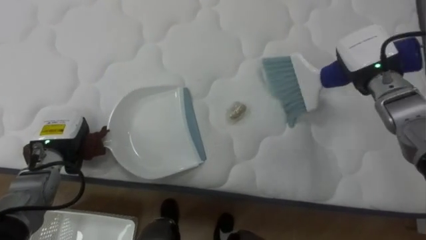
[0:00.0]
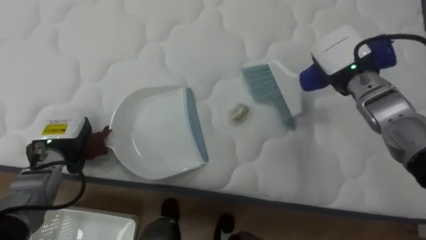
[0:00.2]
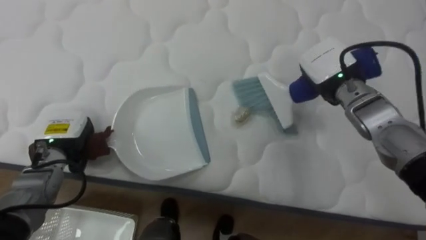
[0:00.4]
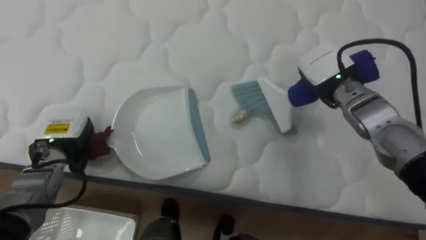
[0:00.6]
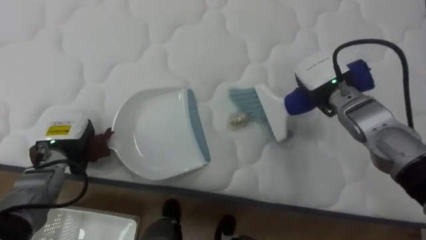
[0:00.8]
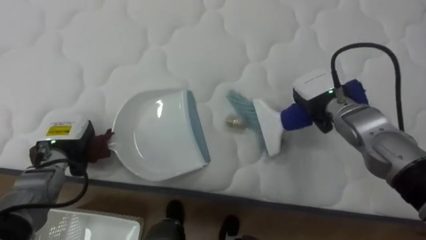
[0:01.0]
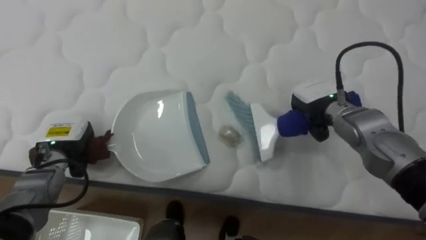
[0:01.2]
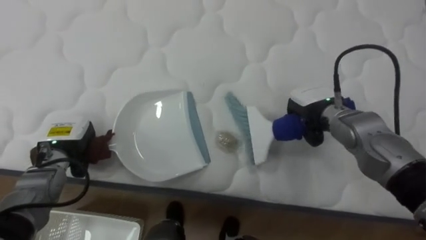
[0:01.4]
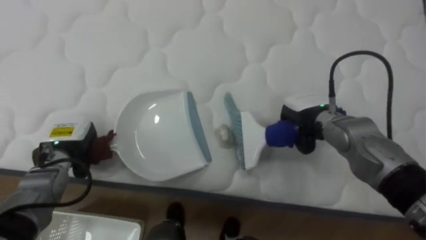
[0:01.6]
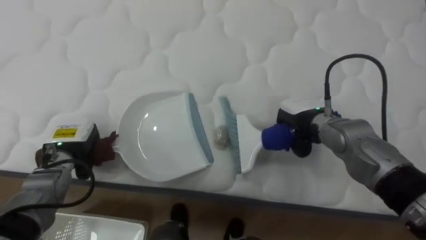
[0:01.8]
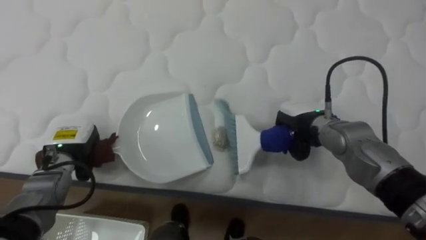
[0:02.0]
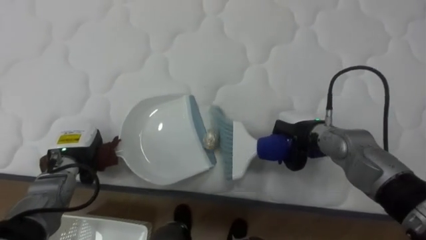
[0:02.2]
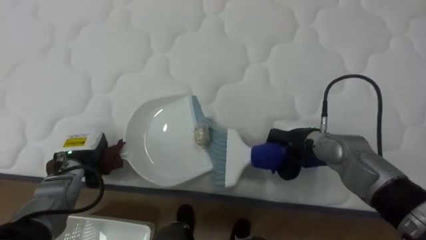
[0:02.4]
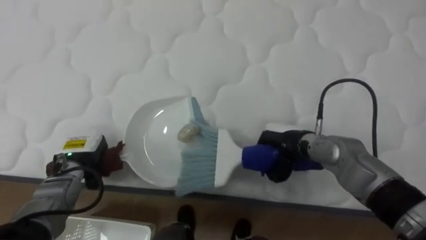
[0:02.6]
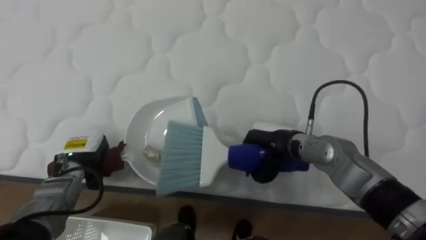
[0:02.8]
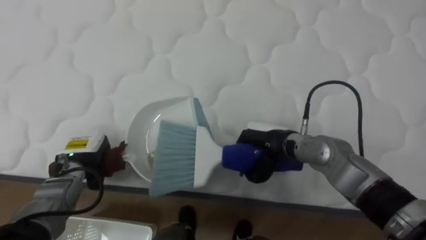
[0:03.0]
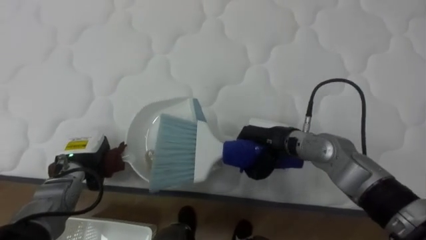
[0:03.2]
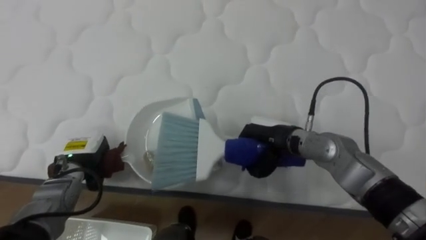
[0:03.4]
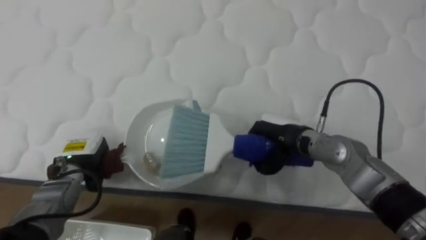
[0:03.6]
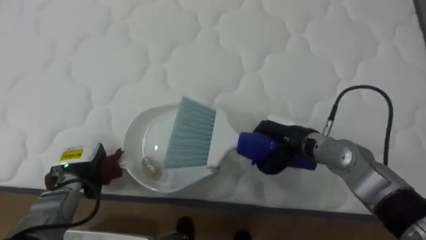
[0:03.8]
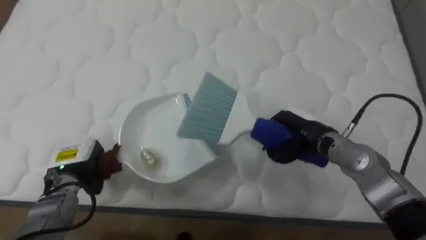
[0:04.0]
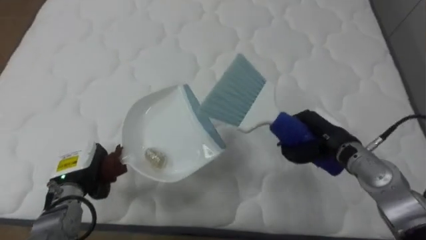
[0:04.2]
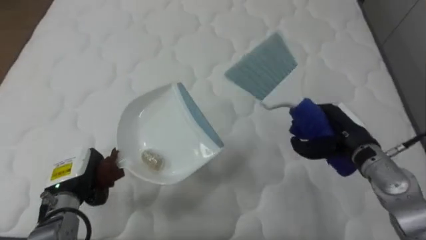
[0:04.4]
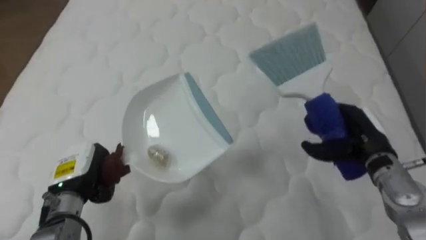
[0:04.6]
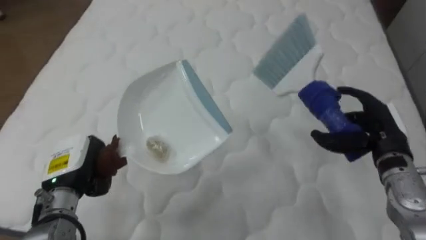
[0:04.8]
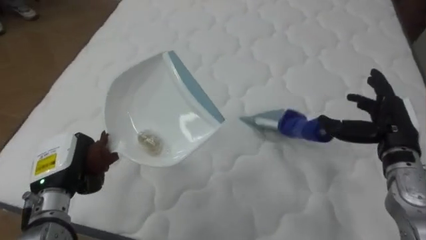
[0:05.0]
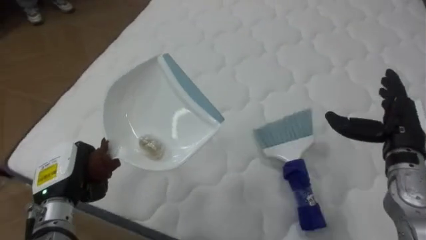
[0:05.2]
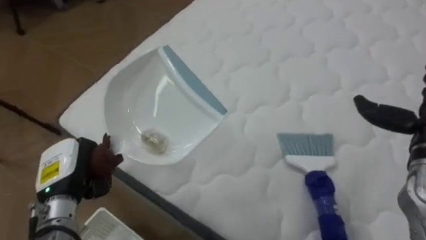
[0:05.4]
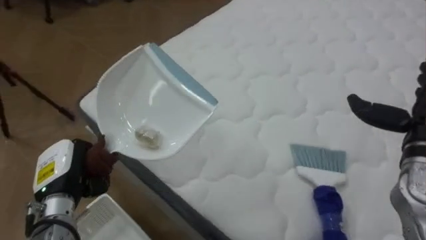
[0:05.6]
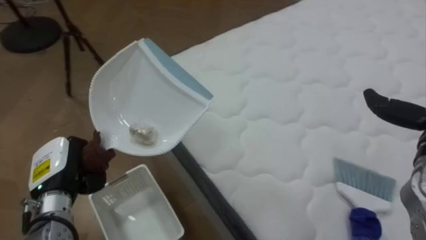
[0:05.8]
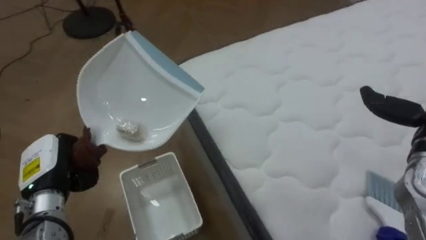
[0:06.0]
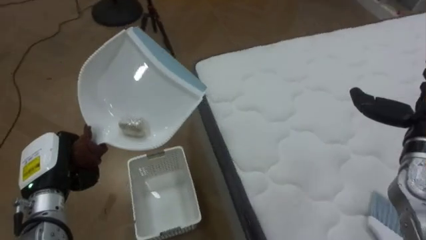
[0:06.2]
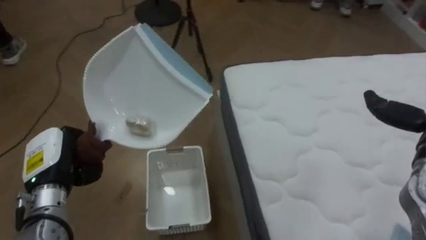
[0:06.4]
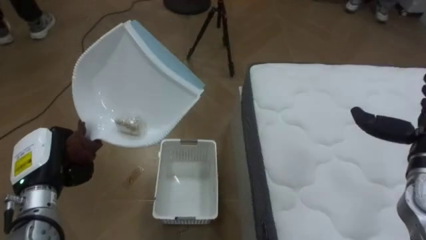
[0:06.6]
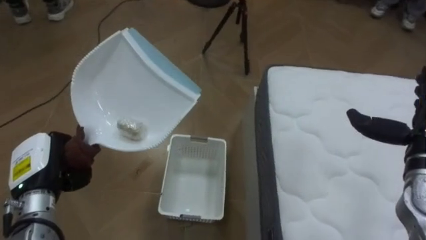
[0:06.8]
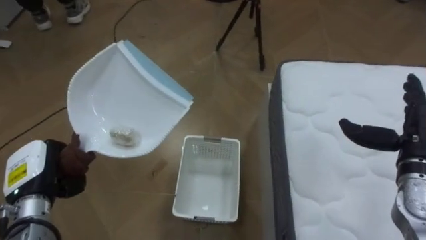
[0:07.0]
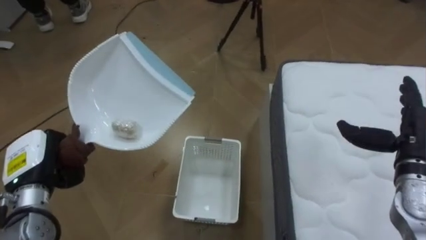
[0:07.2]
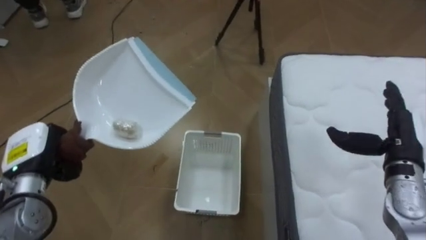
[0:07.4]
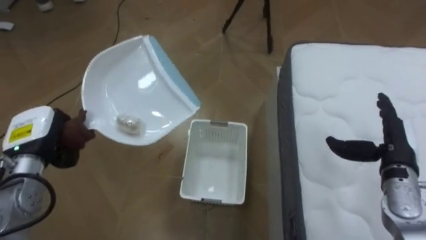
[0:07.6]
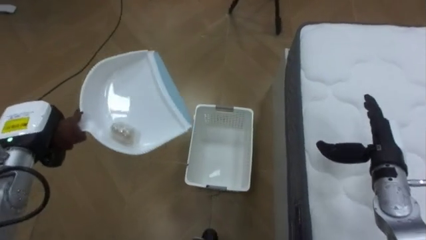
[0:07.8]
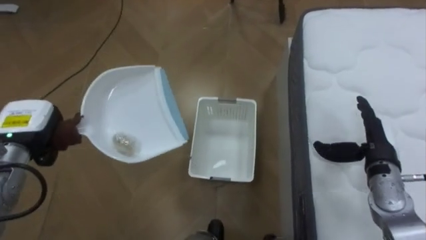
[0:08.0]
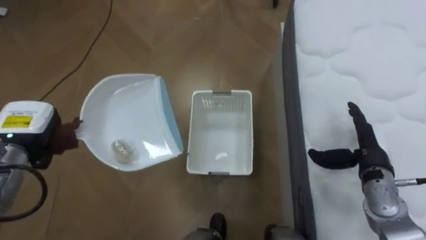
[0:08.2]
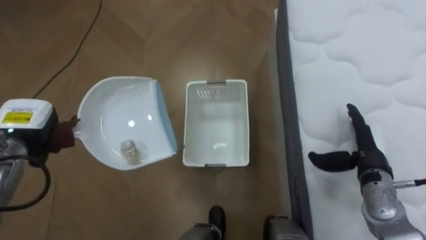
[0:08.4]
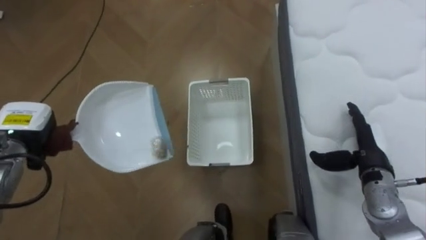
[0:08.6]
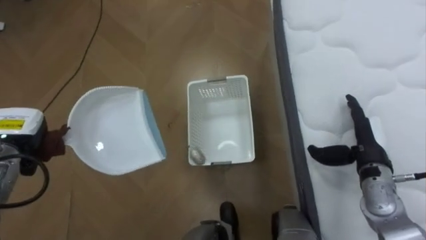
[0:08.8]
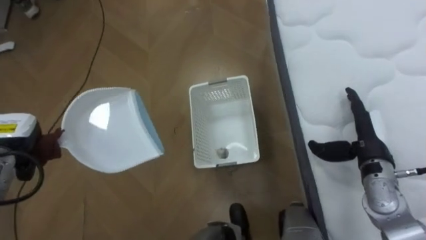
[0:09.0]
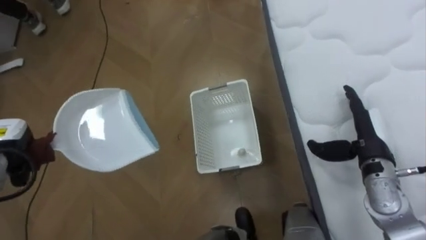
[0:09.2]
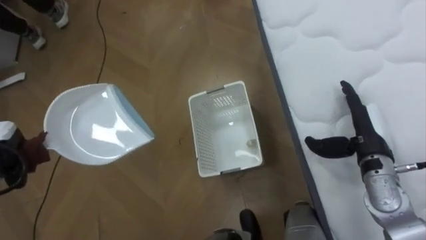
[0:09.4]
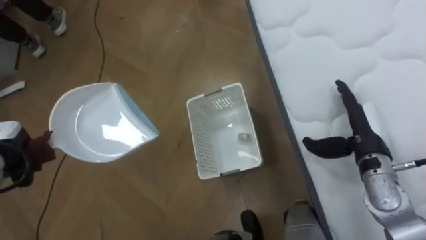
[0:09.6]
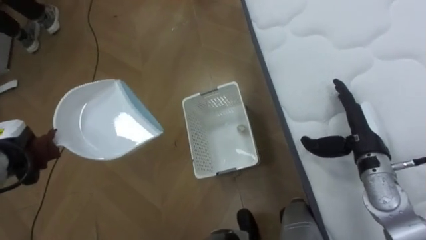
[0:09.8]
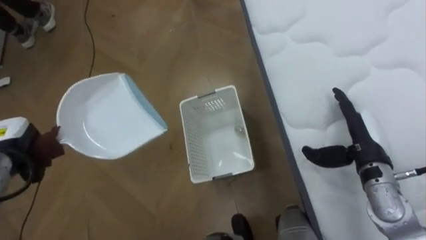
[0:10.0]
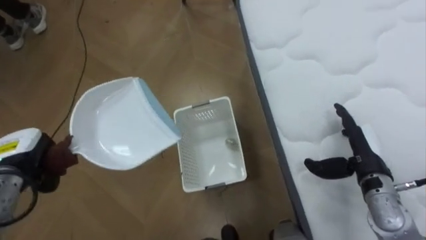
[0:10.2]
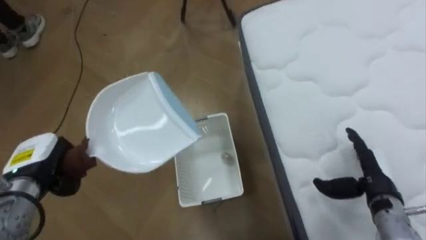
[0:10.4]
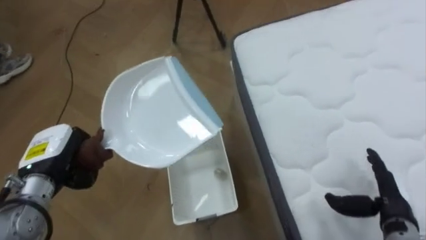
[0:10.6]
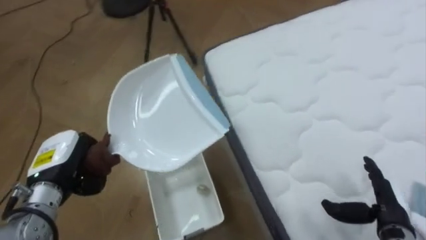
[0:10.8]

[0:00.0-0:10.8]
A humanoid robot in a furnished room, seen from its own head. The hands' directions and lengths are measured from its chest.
Task of the whole recording: Pick up the brush on your right and the dustpan on your left. Use the brush to sweep the crumpled paper on the bed into the dustpan, then turn left and empty it into the basket.
0:00.0 to 0:01.6: The right hand goes some 15 cm downward and to the left.
0:01.6 to 0:03.0: The right hand moves to the left, approximately 10 cm.
0:03.0 to 0:04.6: The right hand is displaced to the right by some 20 cm, while the left hand is displaced backward by approximately 5 cm.
0:04.6 to 0:06.2: The robot faces approximately 65 degrees further to its left. The left hand changes place by some 5 cm.
0:06.2 to 0:07.8: The robot rotates approximately 30 degrees to its left. The left hand moves forward, about 5 cm.
0:07.8 to 0:09.2: The left hand heads to the left, covering about 5 cm.
0:09.2 to 0:10.8: The robot rotates some 25 degrees to its right. The right hand is displaced backward and downward by roughly 15 cm.

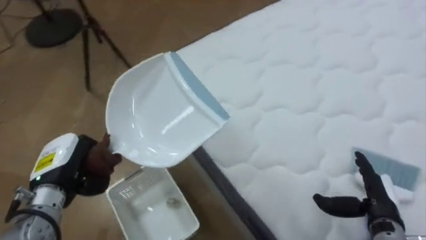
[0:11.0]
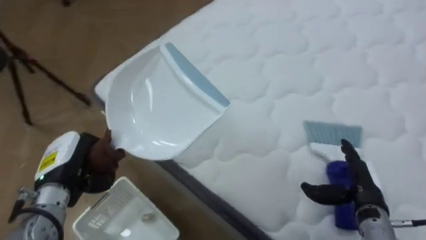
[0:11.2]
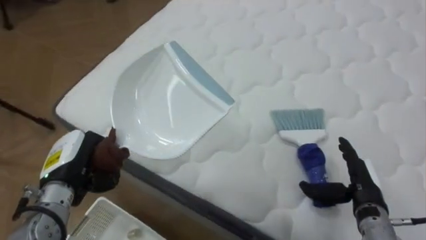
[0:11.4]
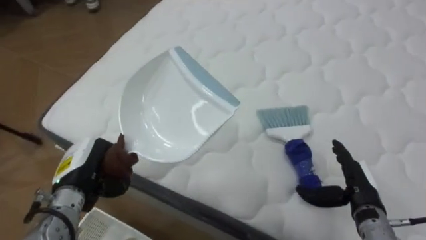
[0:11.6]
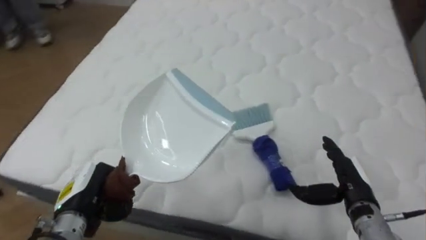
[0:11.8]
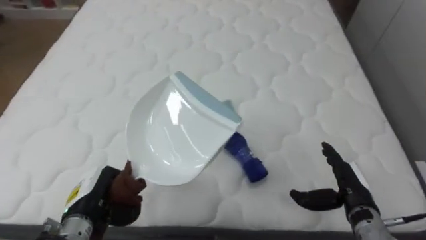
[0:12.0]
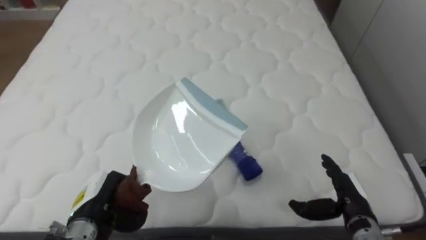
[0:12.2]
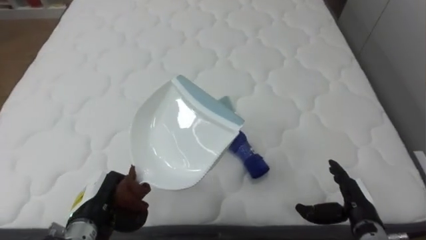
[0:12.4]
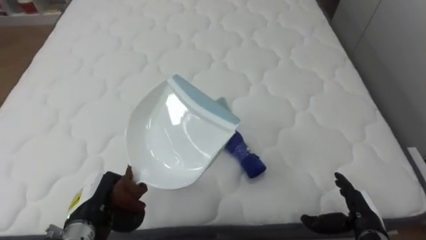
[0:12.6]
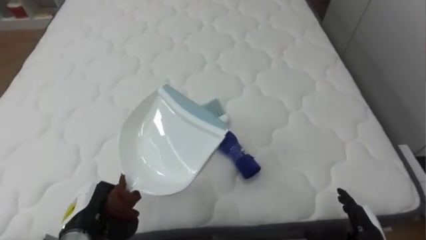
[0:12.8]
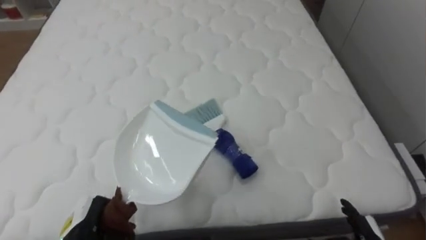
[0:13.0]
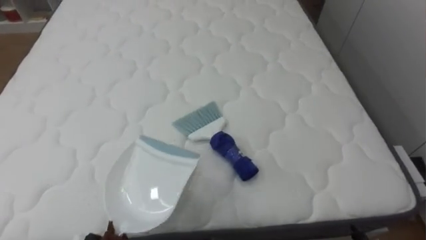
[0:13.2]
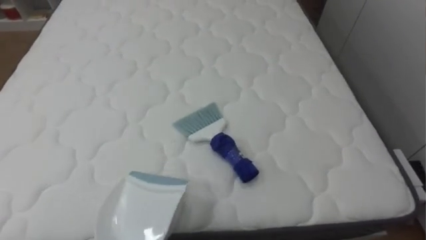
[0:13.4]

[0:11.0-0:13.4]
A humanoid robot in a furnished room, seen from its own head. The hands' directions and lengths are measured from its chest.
Task of the whole recording: Pick up the brush on your right and the dustpan on your left. Use the brush to sweep the crumpled paper on the bed into the dustpan, then turn left and empty it into the basket.
0:11.0 to 0:12.2: The robot's body swings roughly 55 degrees to its right. The left hand goes roughly 10 cm downward and to the right.

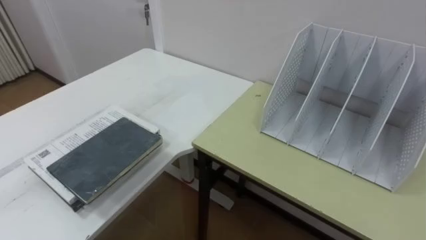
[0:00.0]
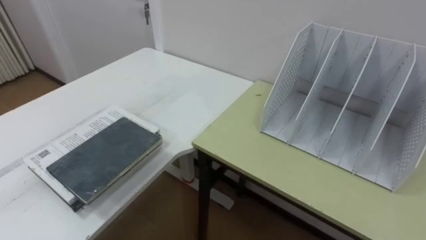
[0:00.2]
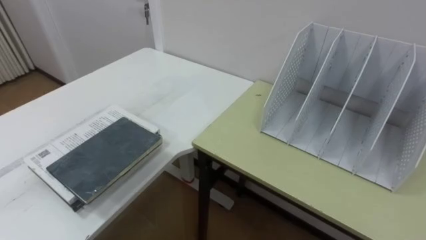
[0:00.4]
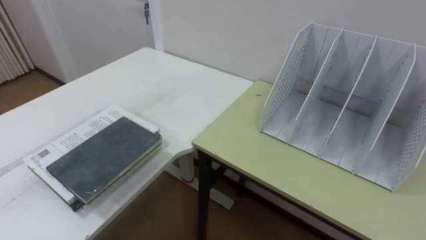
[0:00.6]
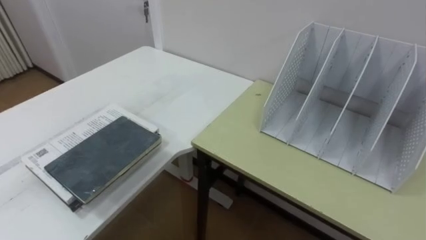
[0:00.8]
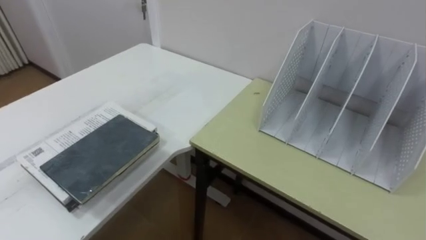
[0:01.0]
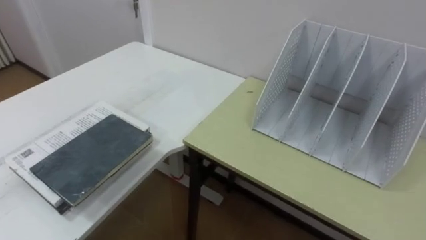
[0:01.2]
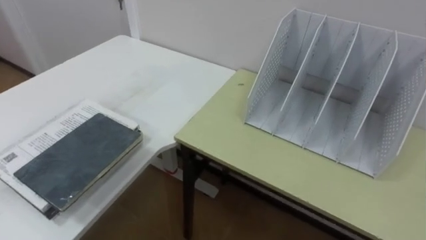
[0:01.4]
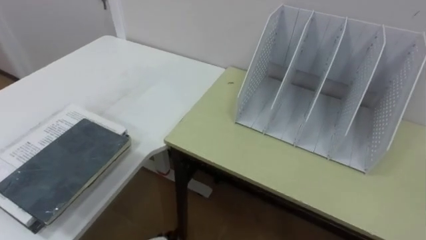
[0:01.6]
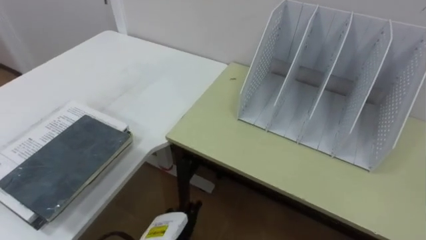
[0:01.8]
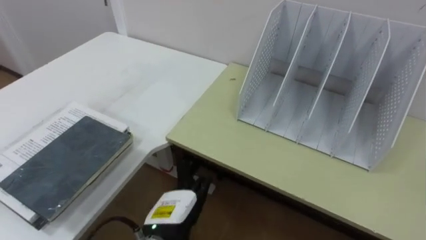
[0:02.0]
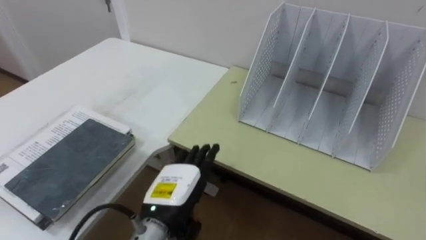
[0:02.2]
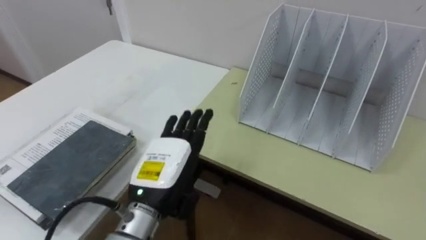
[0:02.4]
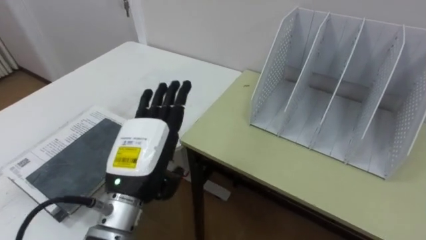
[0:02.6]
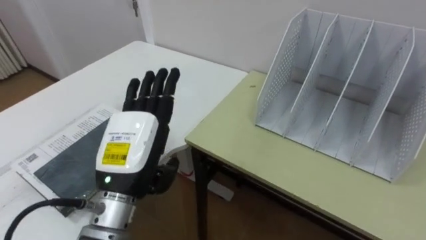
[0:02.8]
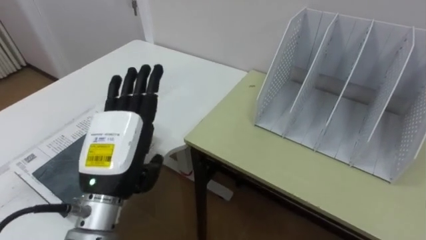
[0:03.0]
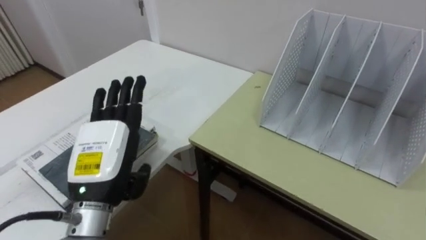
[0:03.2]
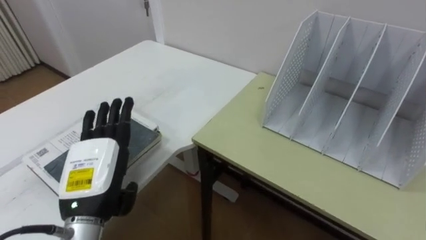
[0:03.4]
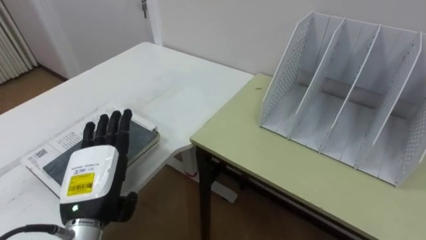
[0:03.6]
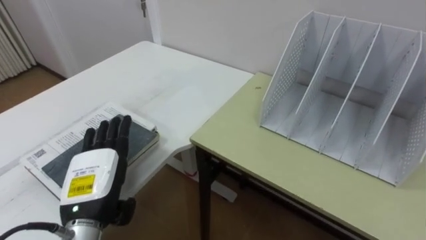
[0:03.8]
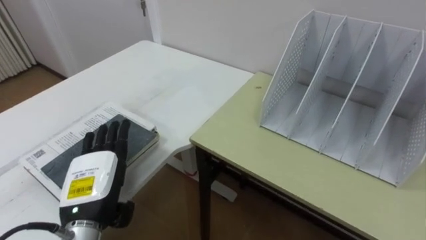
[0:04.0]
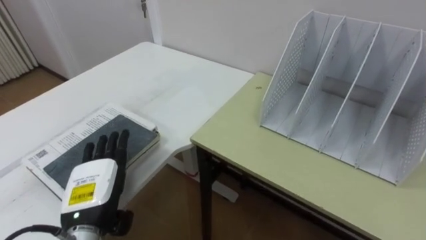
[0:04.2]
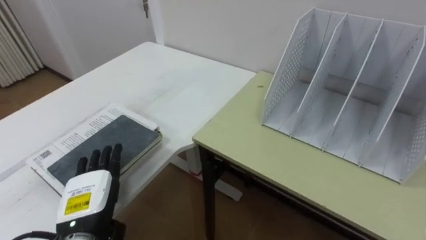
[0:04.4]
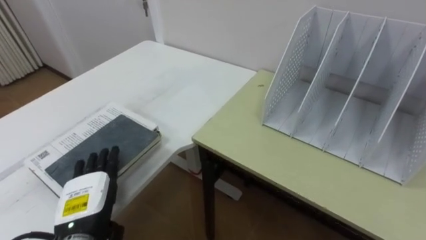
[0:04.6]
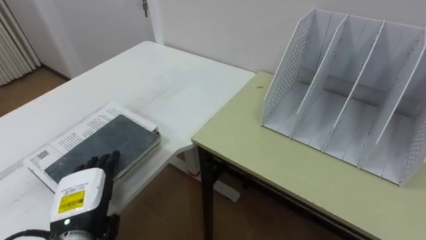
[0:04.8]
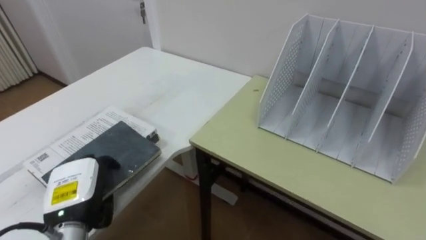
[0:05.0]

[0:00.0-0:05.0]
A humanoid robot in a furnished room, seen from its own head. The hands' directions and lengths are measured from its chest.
Task of the whole recording: Put the books on the table onto the bookshelf.
0:03.4 to 0:05.0: The left hand shifts about 5 cm downward.
